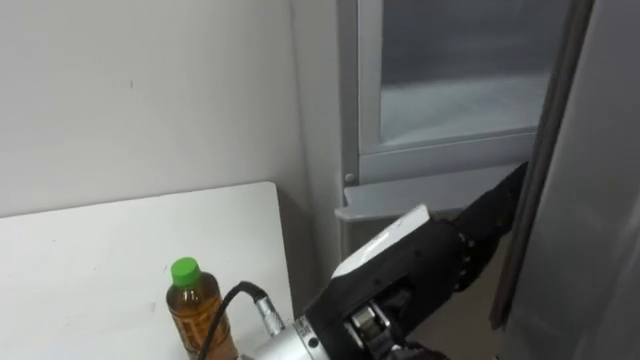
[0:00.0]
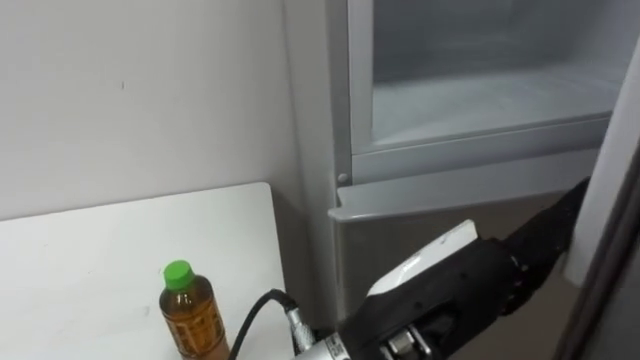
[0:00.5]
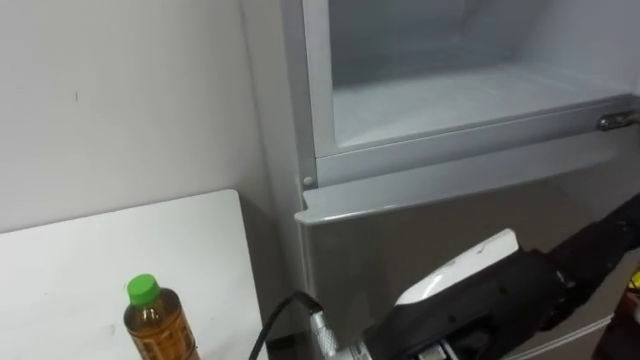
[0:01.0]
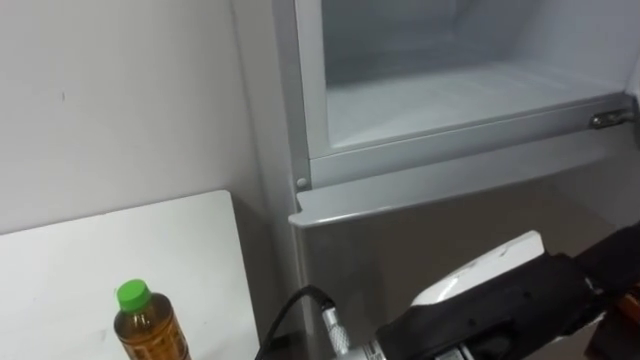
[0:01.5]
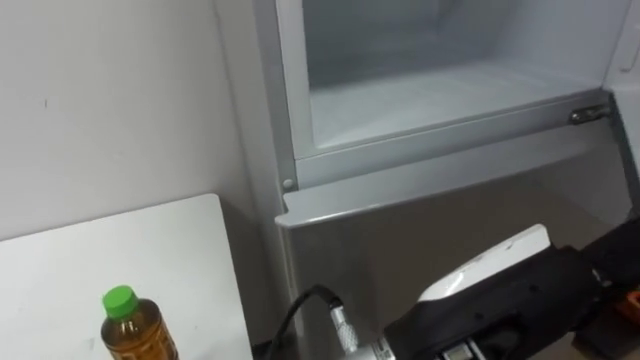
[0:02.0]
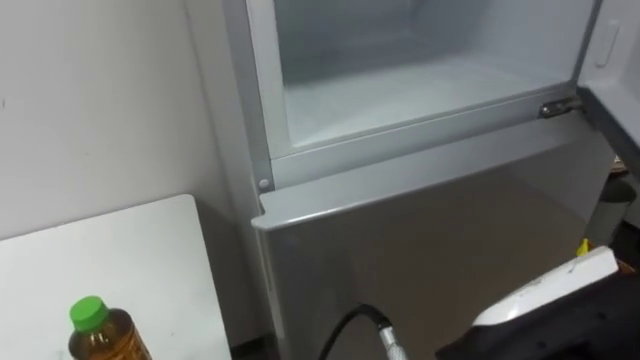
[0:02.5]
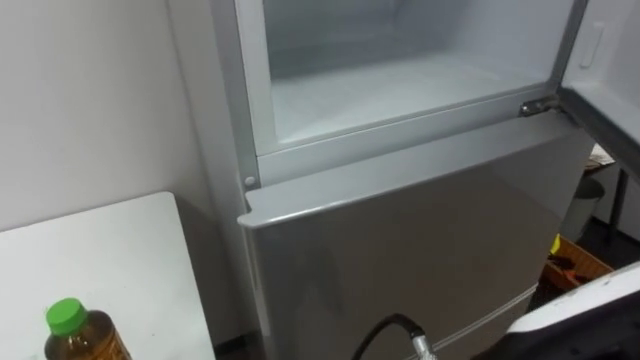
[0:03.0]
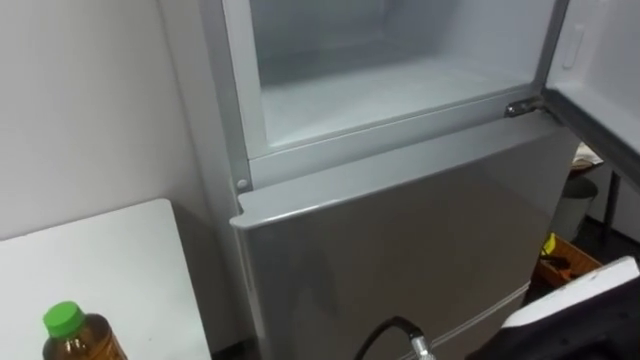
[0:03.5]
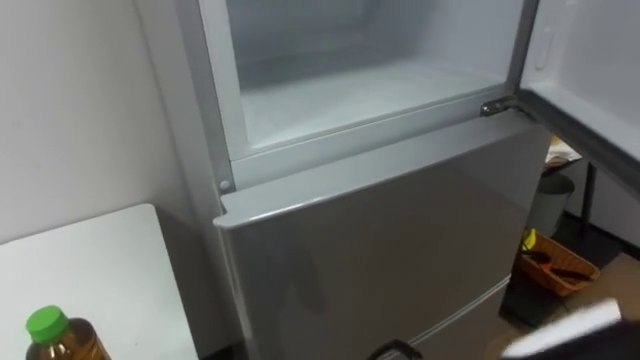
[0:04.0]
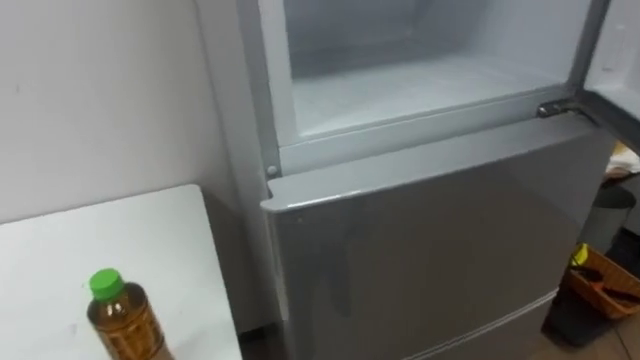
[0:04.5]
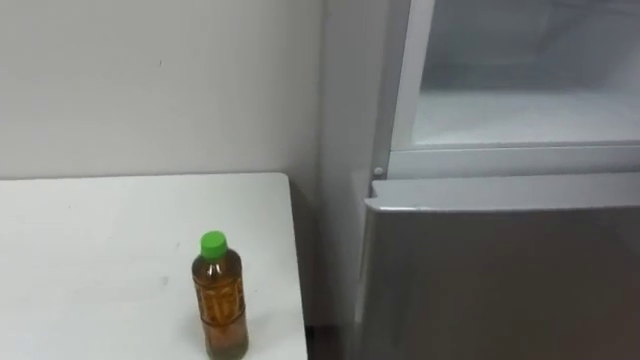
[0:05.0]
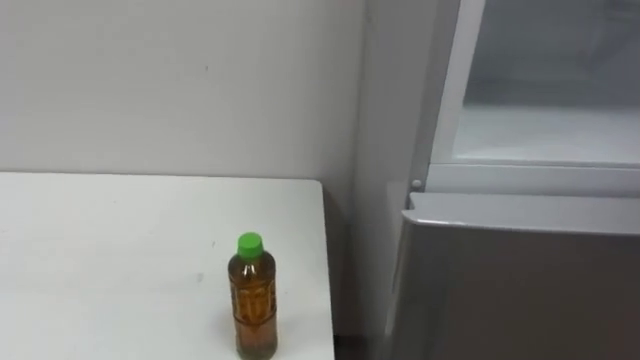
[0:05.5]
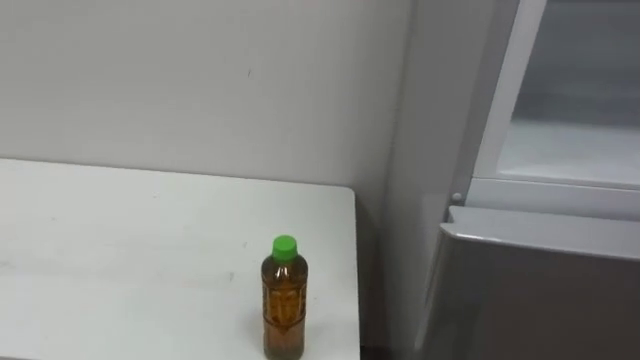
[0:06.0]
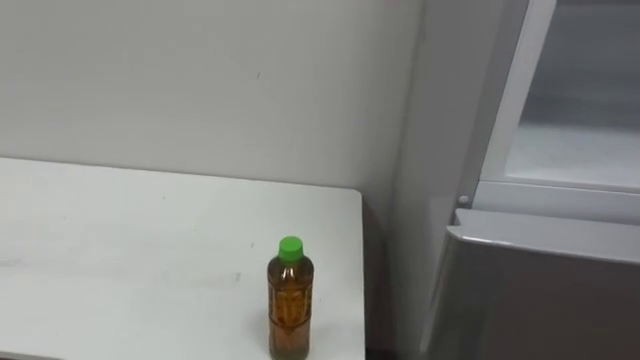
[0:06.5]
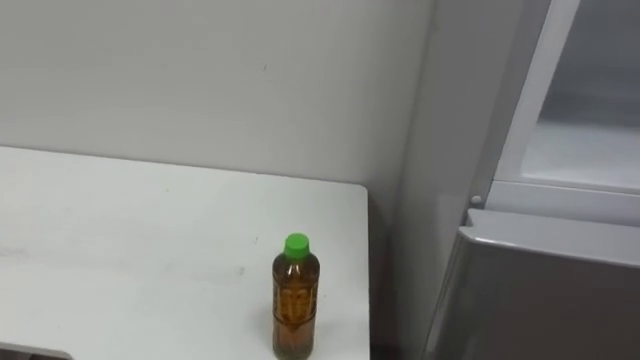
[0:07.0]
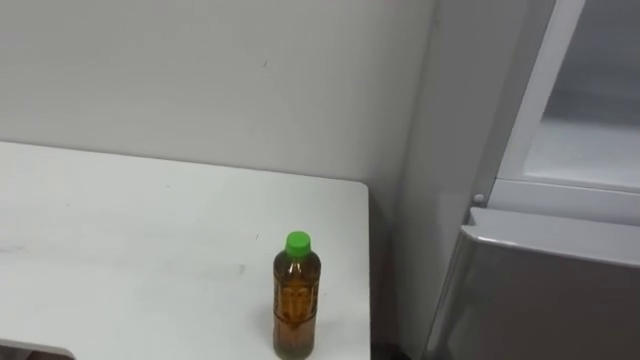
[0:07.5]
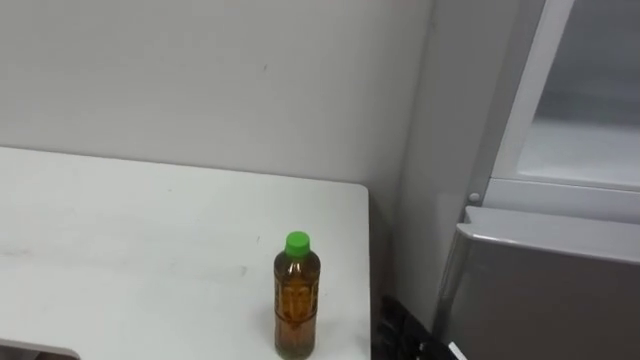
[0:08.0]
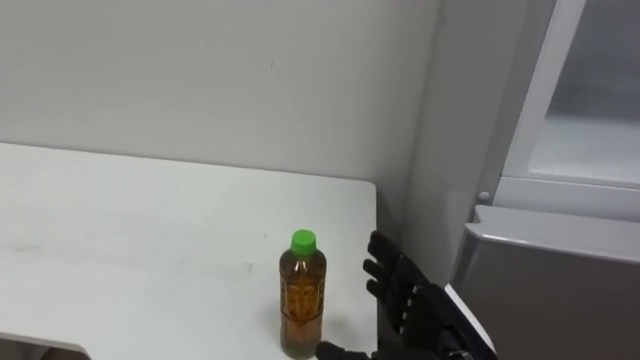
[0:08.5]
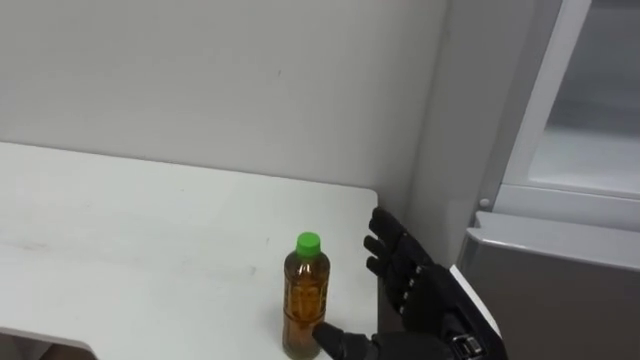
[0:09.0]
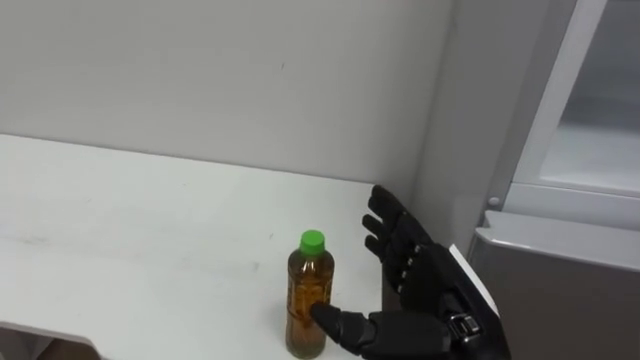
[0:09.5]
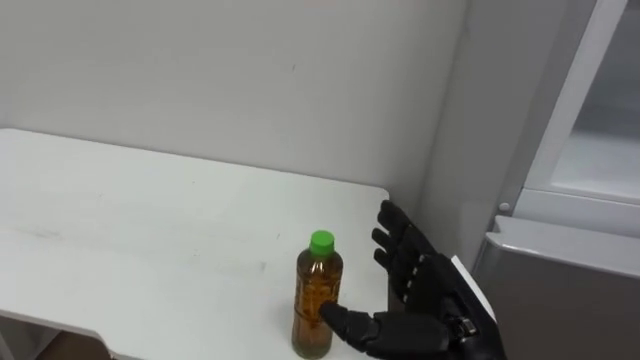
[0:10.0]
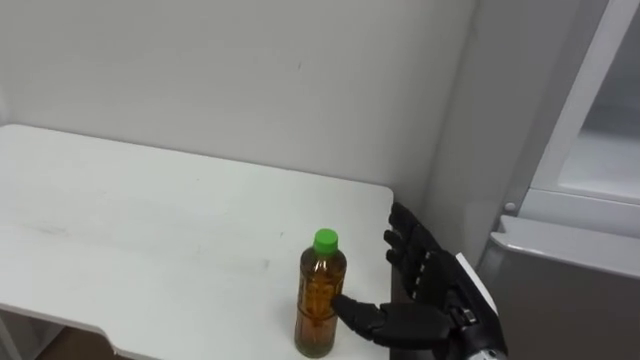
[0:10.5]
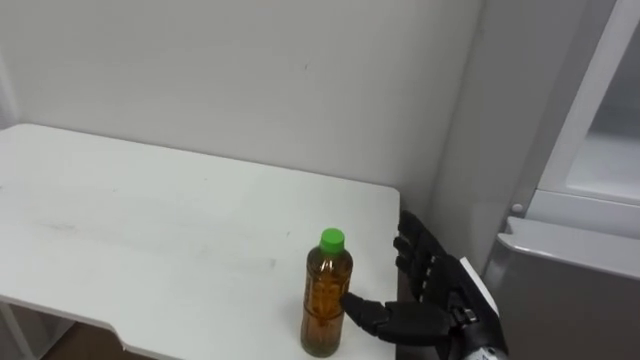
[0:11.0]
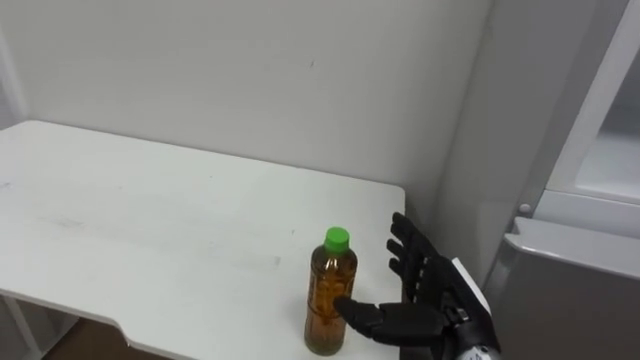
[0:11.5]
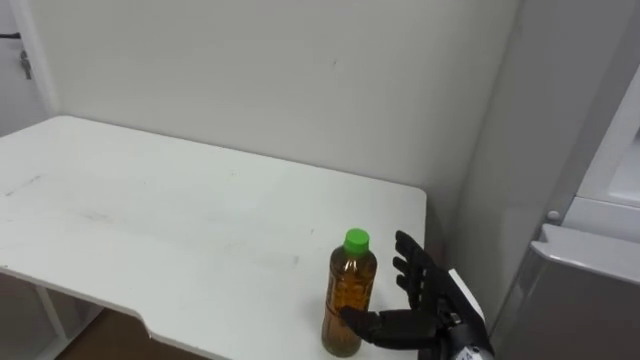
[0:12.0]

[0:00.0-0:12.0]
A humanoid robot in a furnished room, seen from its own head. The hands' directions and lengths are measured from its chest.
Task of the whole recording: Open the upper refrigerator door, put the drink from the table into the refrigerator, and then close the refrigerator door.
0:00.0 to 0:02.0: The left hand moves roughly 5 cm.
0:02.0 to 0:04.0: The left hand heads to the right, covering about 5 cm.
0:10.0 to 0:12.0: The right hand is displaced downward by roughly 5 cm.

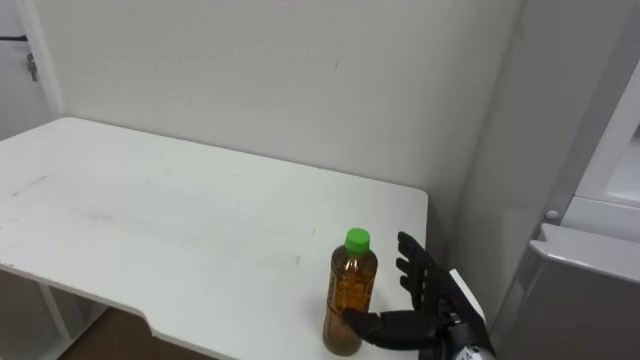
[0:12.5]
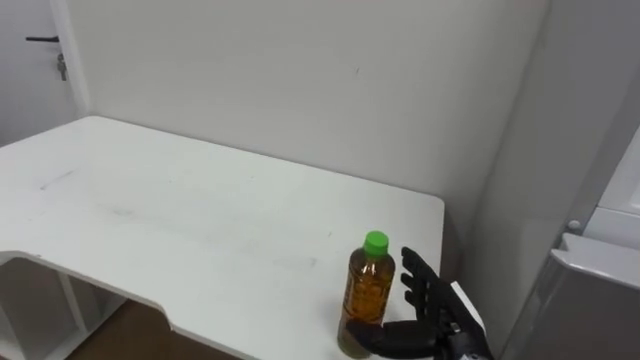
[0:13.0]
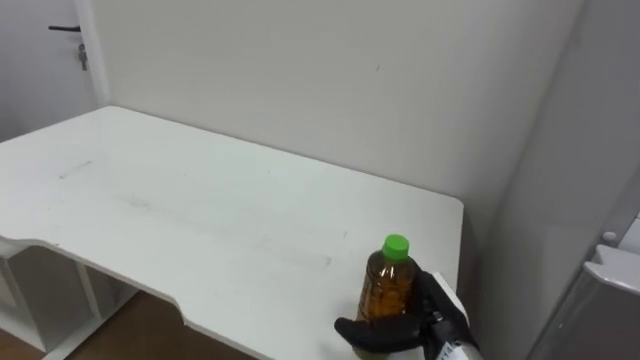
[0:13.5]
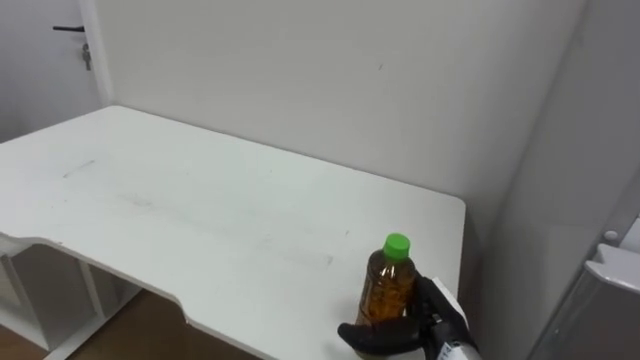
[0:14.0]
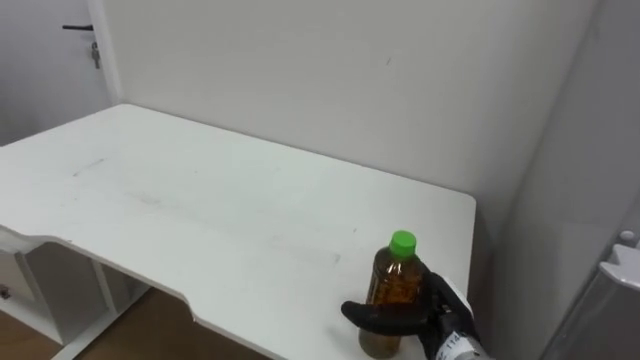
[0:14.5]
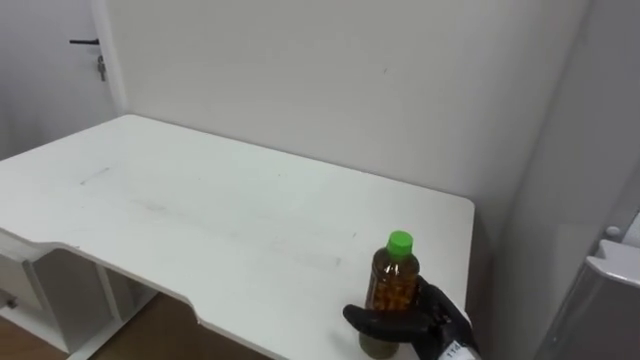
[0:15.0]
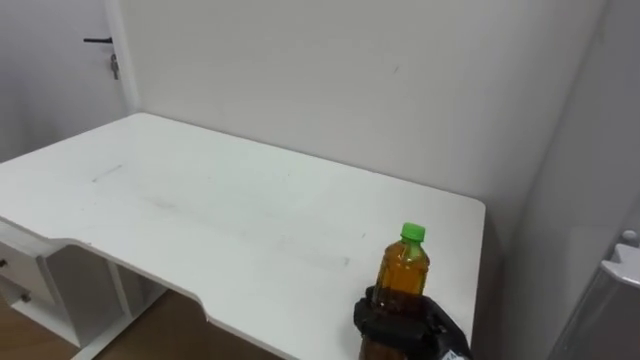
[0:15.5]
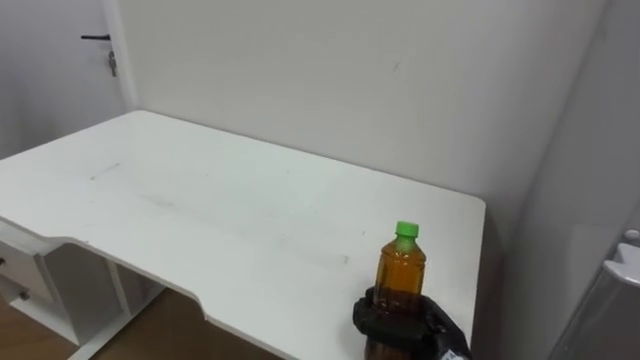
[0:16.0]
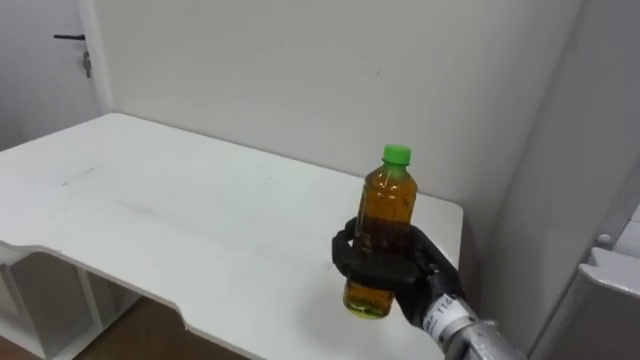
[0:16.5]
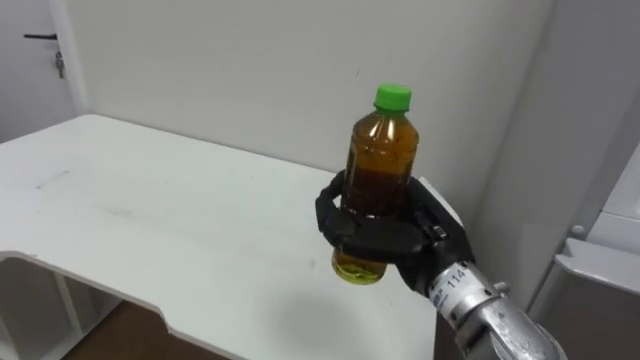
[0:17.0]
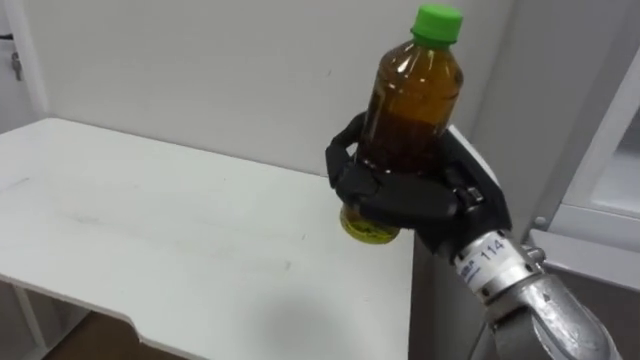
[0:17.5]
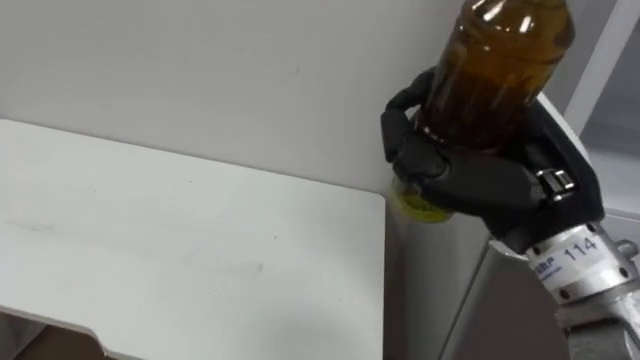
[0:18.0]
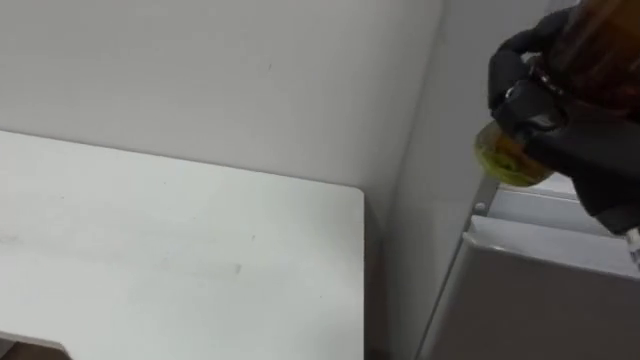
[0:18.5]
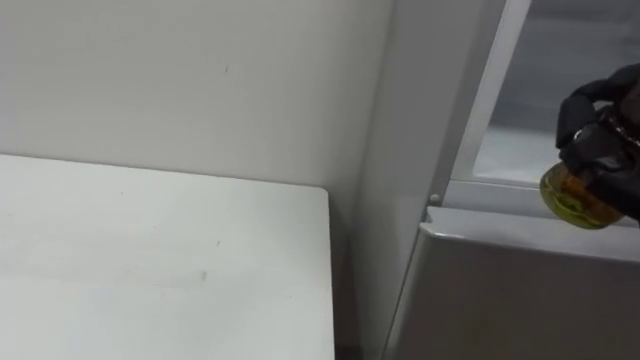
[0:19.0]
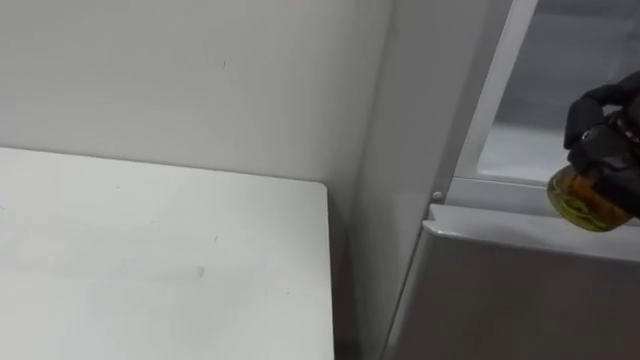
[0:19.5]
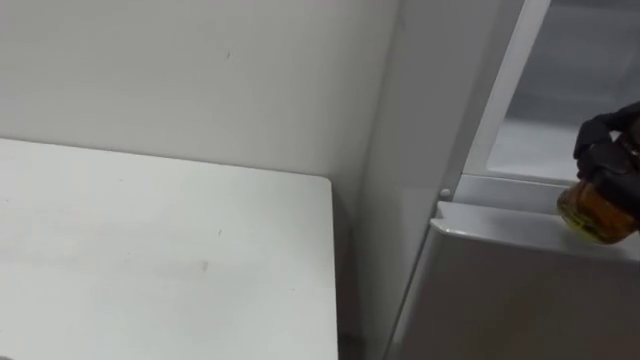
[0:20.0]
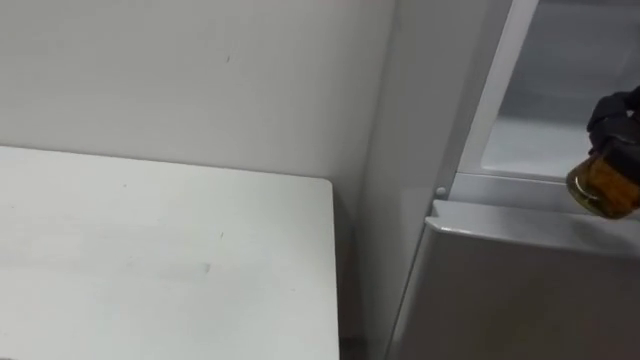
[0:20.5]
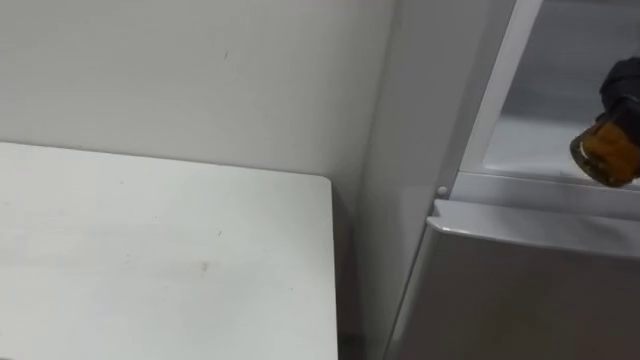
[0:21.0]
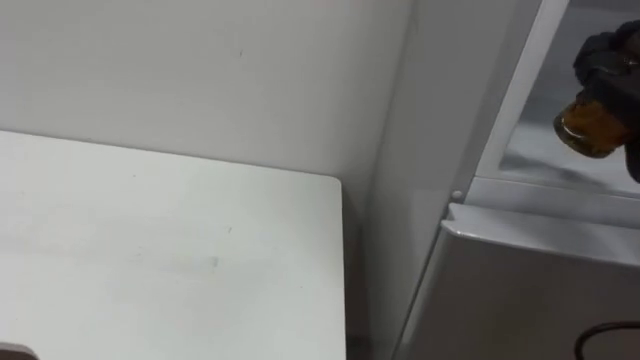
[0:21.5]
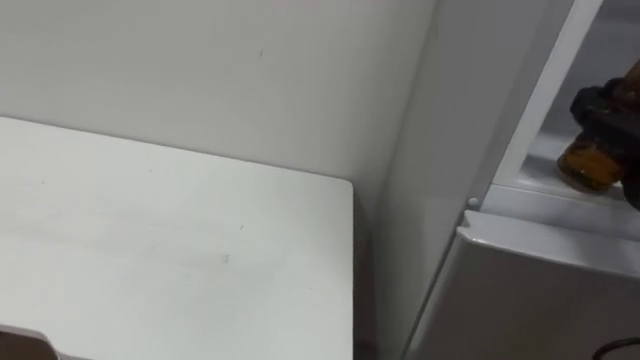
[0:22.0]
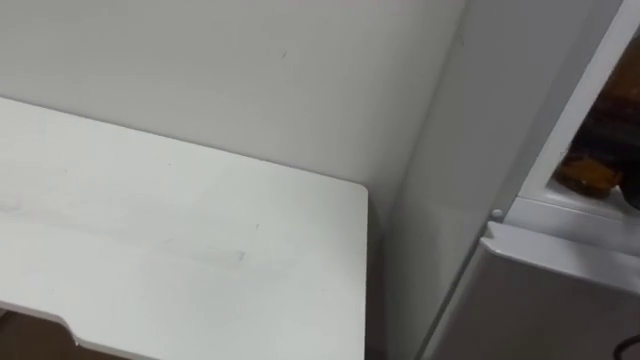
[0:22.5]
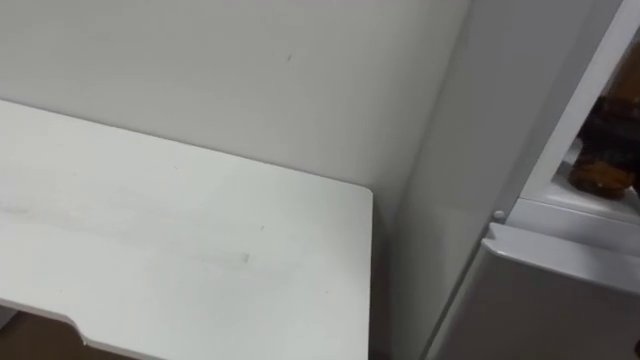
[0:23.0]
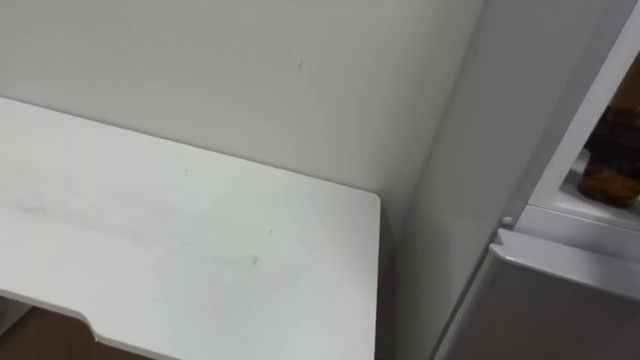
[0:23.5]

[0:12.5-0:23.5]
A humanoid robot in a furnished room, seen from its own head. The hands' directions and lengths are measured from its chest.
Task of the whole recording: Open the upper refrigerator door, put the drink from the table into the refrigerator, and then close the refrigerator door.
0:14.5 to 0:16.0: The right hand closes.
0:16.0 to 0:18.0: The right hand travels upward by some 30 cm.
